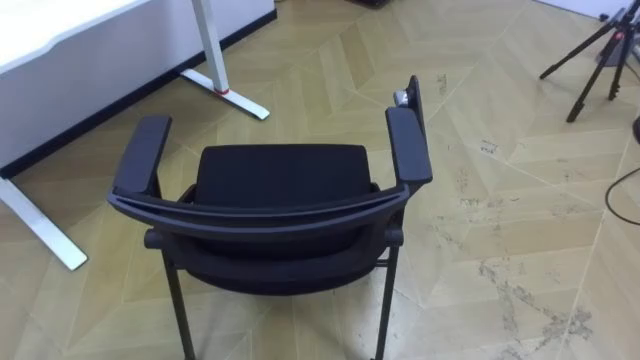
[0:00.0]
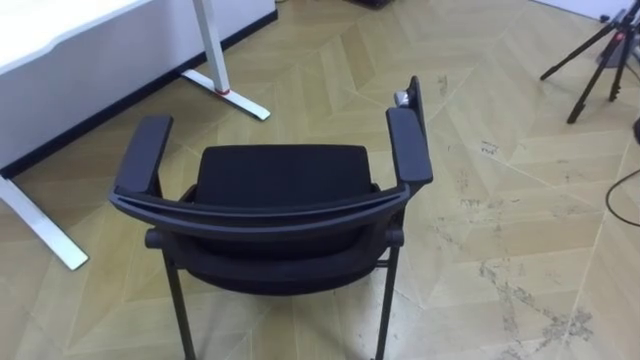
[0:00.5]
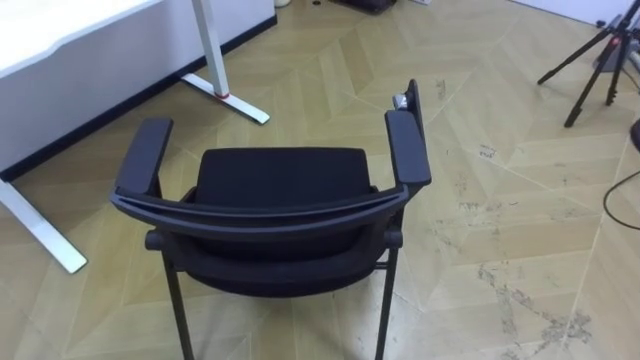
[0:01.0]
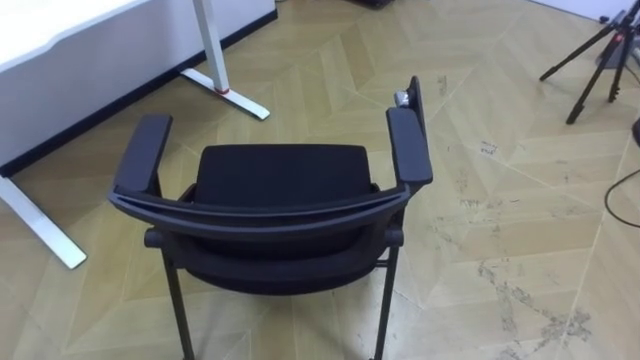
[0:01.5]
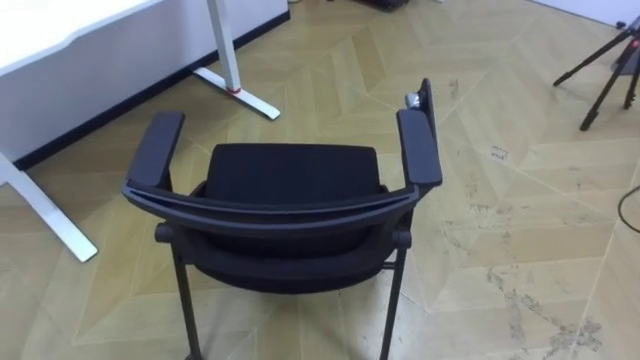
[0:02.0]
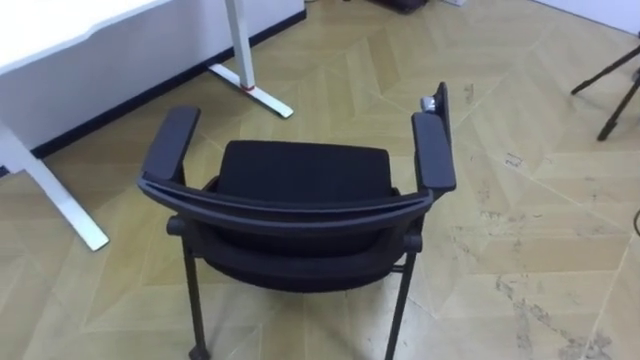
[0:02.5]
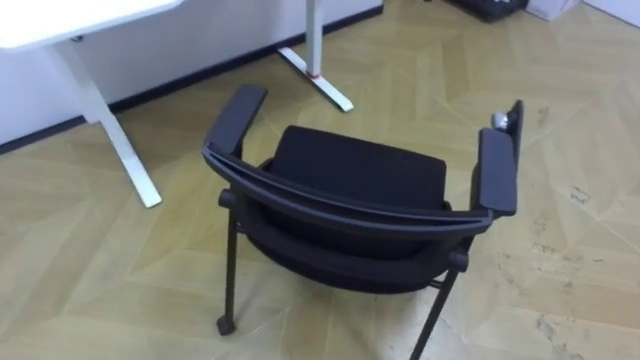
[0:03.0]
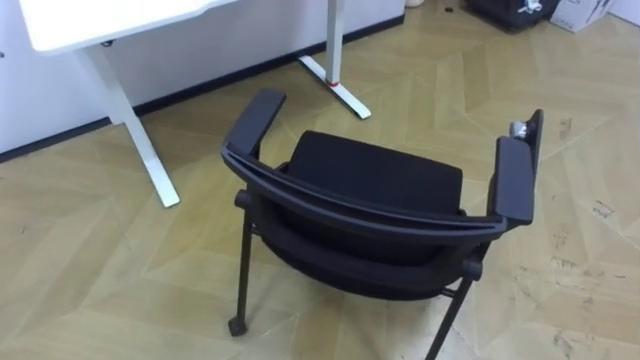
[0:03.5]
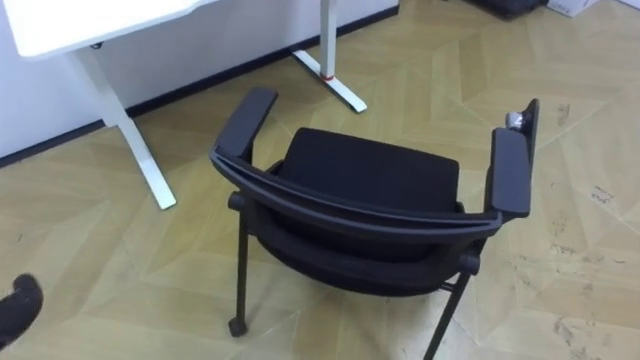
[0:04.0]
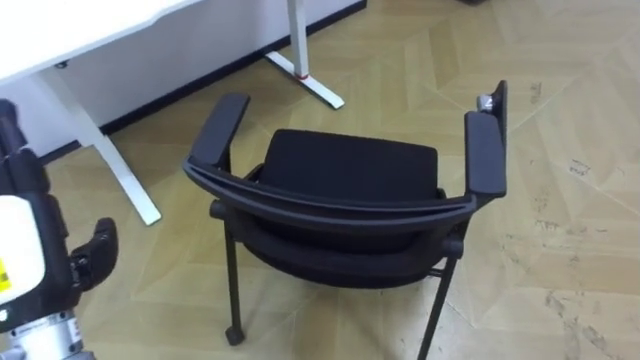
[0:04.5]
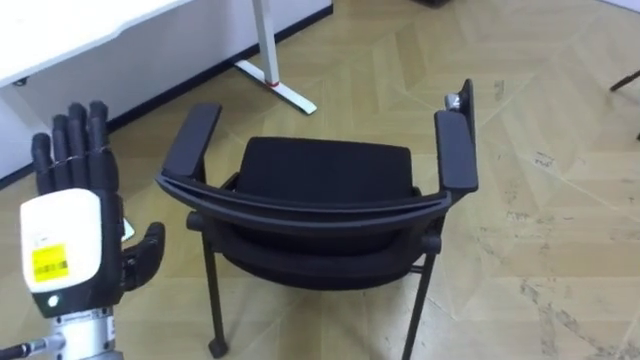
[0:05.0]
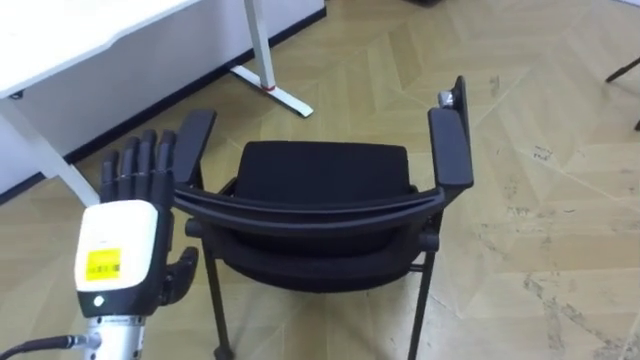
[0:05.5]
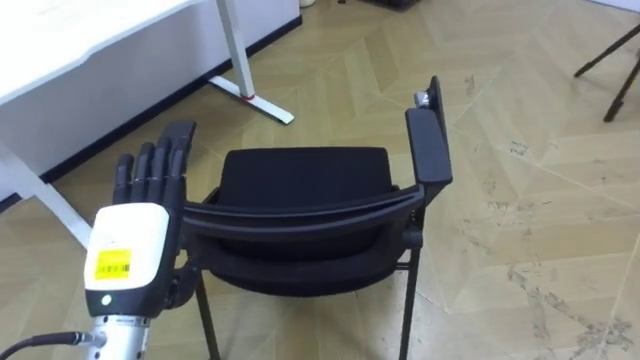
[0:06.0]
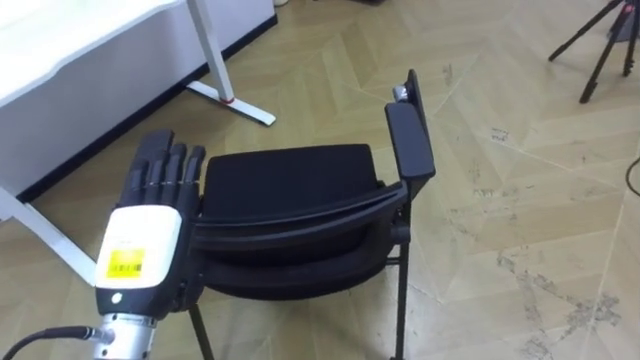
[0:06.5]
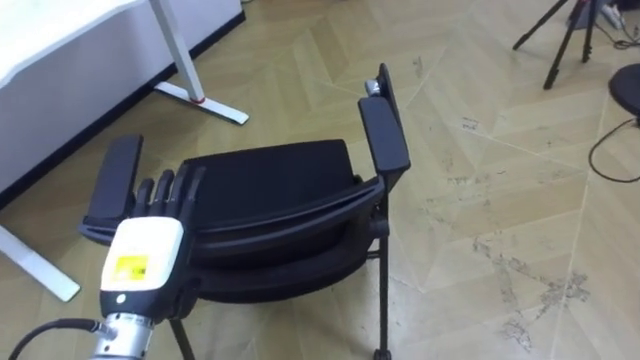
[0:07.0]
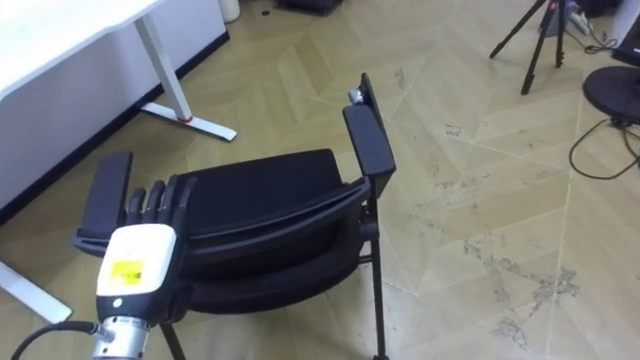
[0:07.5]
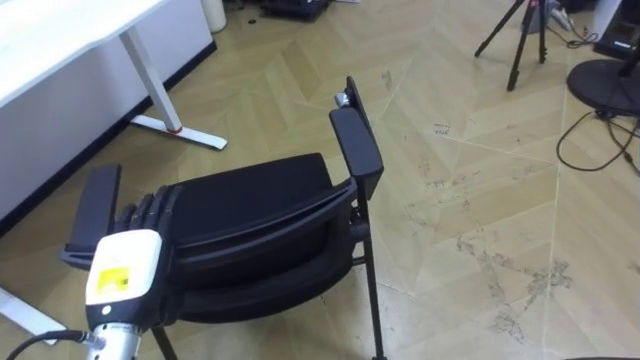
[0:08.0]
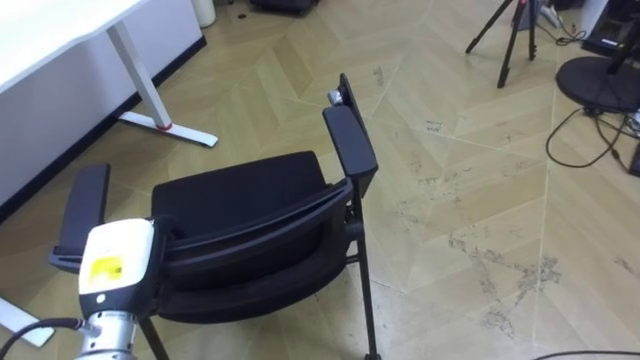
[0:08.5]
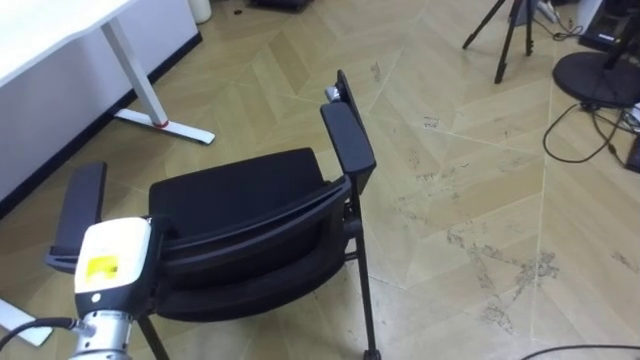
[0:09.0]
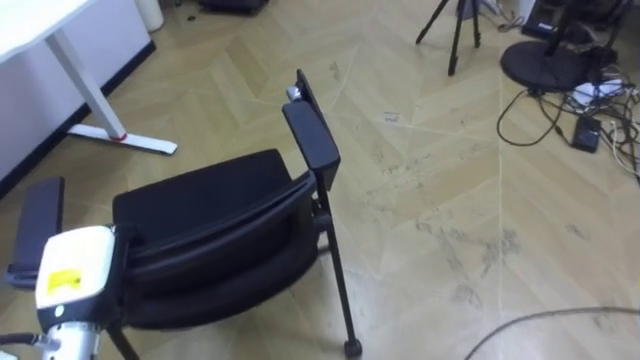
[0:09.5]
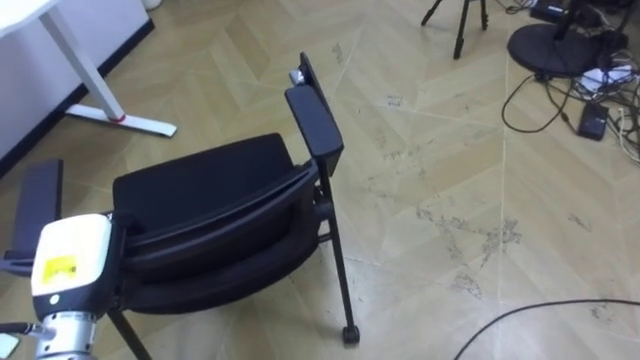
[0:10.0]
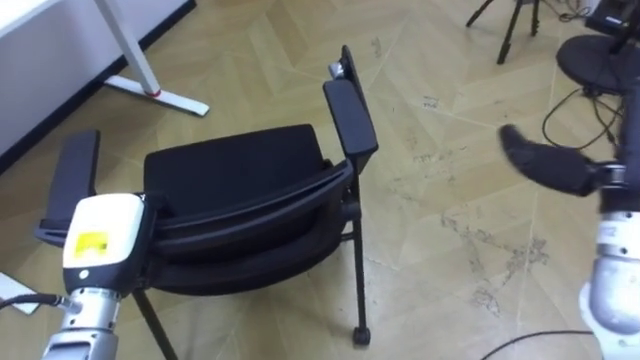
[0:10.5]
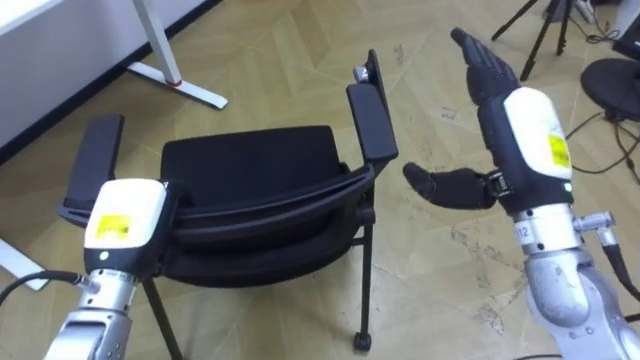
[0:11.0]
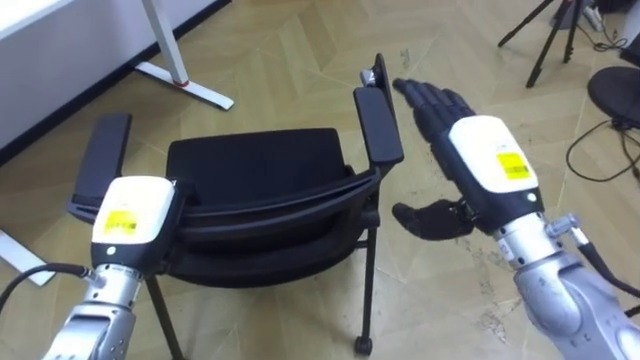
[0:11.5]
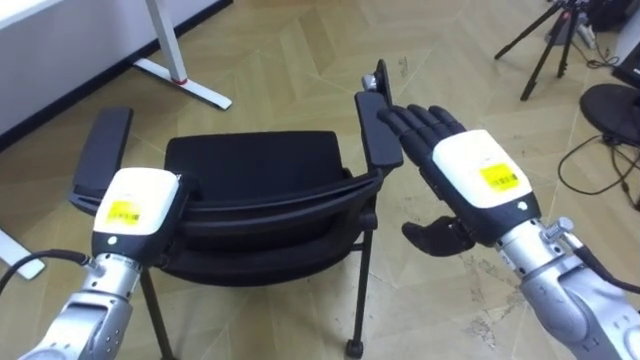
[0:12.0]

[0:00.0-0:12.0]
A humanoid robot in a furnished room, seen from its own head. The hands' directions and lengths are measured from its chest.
Task of the whole recording: Push the chair under the table.
0:06.0 to 0:08.0: The left hand is displaced downward by about 5 cm.
0:08.0 to 0:10.0: The left hand moves to the left, about 5 cm, and closes its fingers.
0:10.0 to 0:12.0: The left hand moves to the right and forward, some 10 cm.

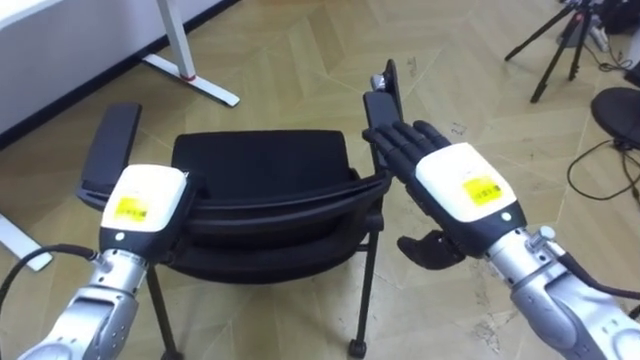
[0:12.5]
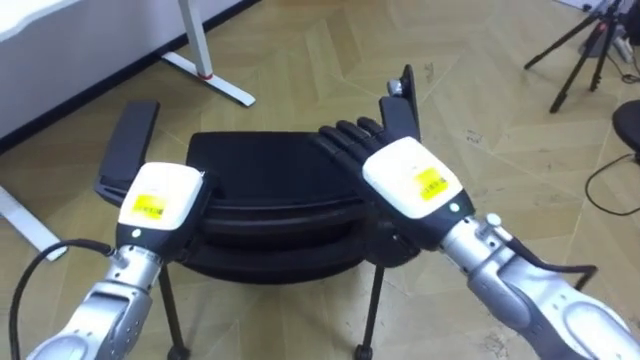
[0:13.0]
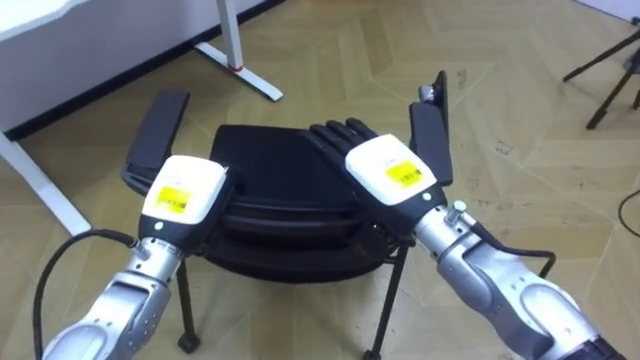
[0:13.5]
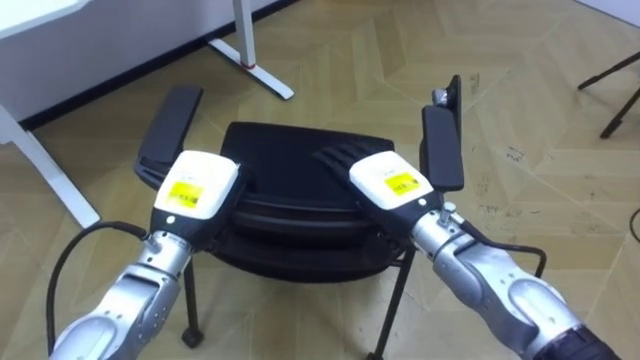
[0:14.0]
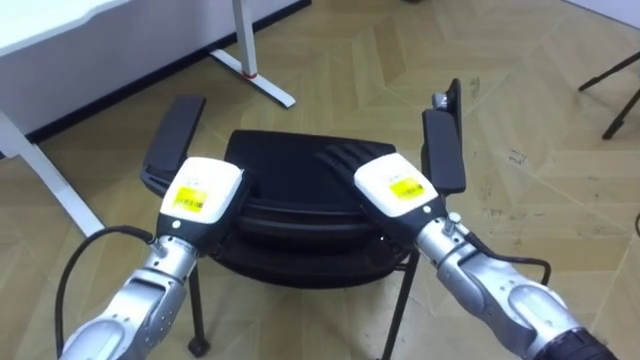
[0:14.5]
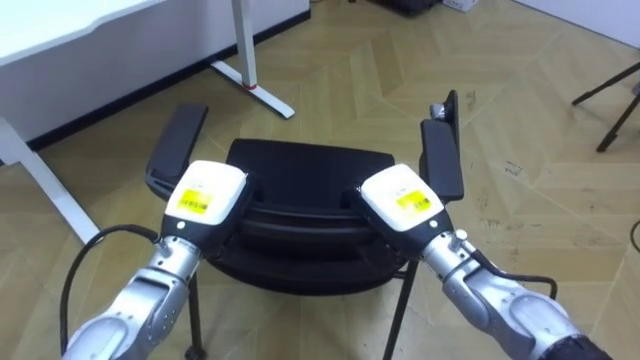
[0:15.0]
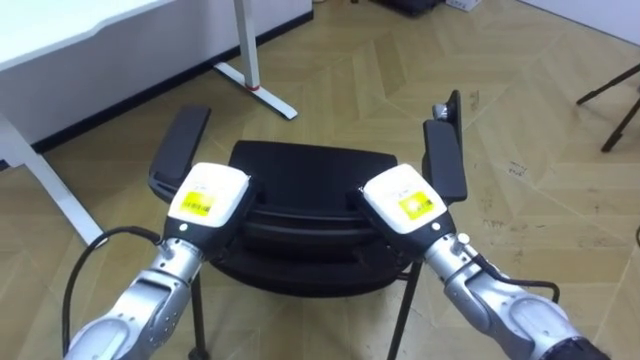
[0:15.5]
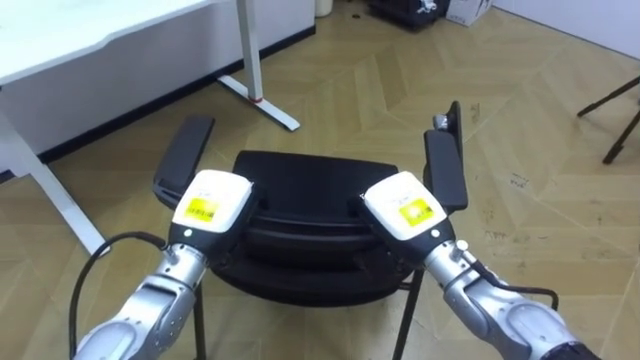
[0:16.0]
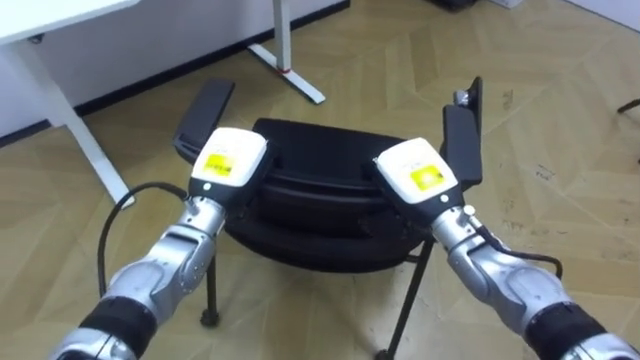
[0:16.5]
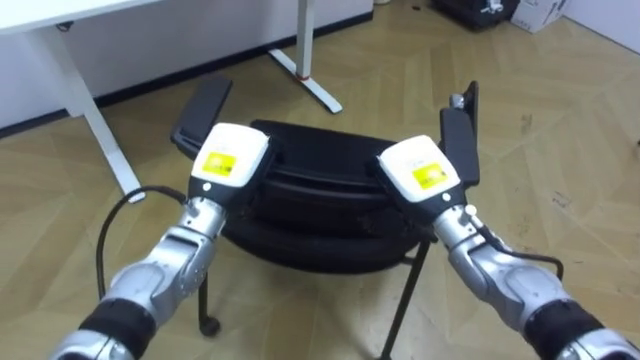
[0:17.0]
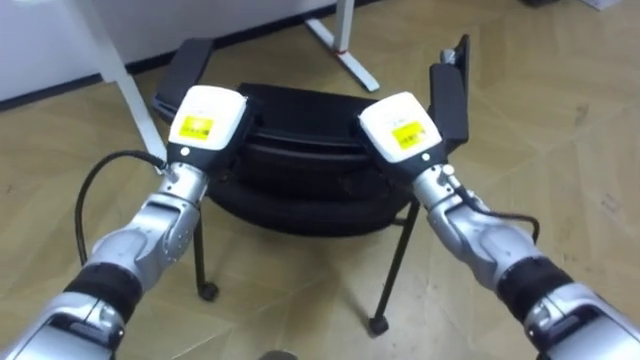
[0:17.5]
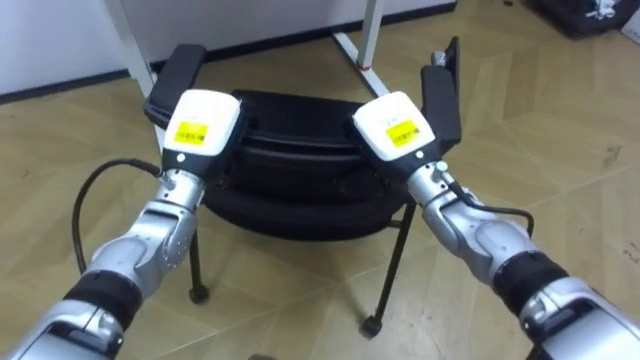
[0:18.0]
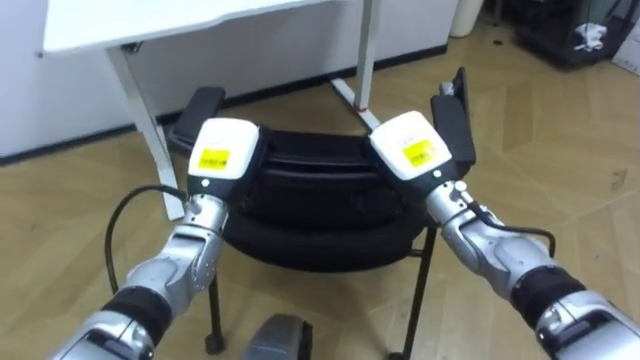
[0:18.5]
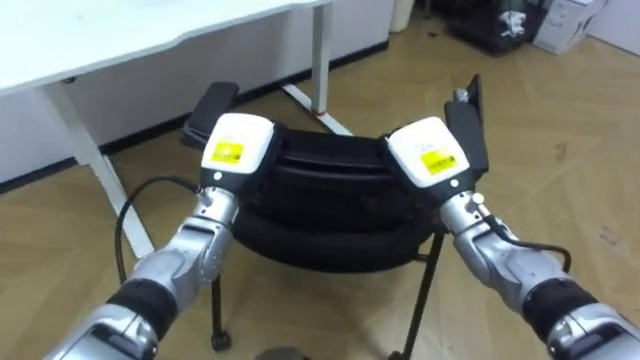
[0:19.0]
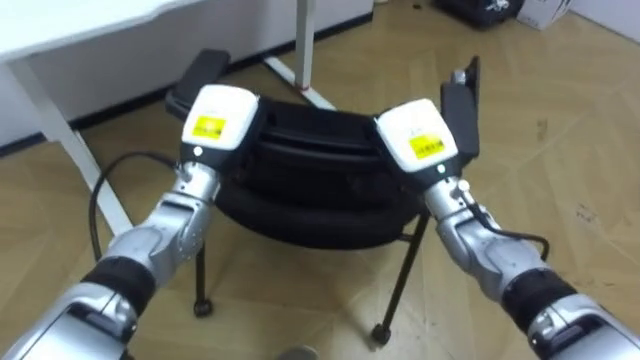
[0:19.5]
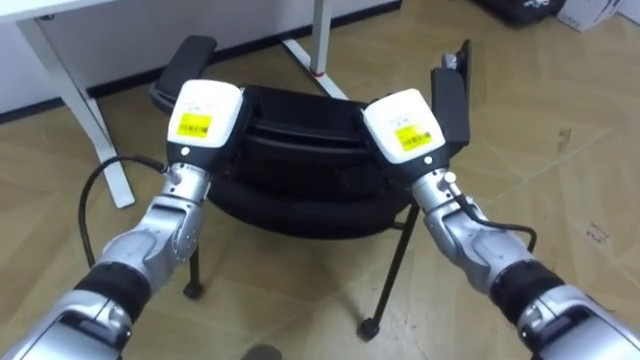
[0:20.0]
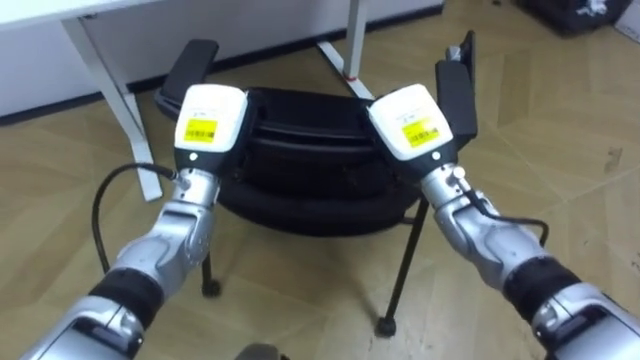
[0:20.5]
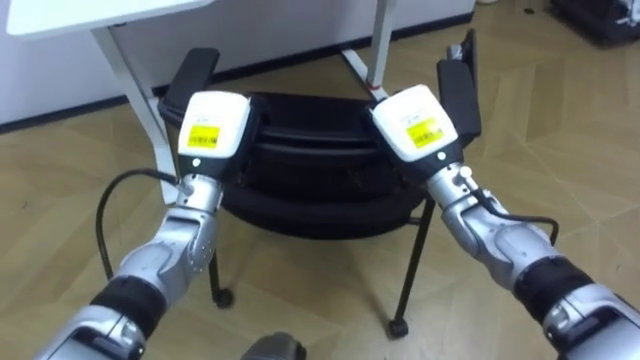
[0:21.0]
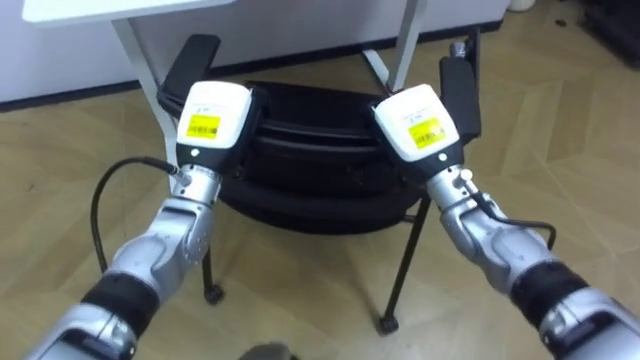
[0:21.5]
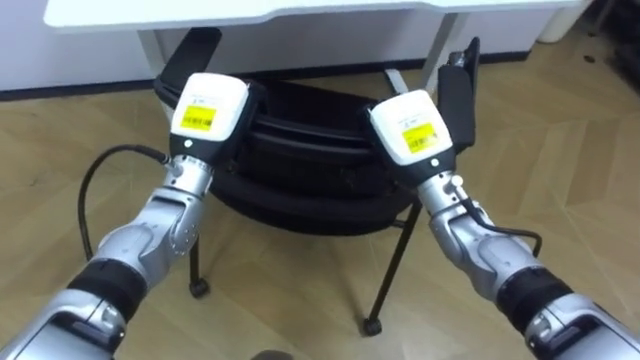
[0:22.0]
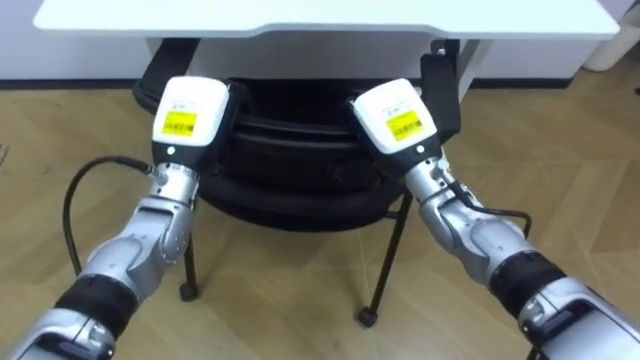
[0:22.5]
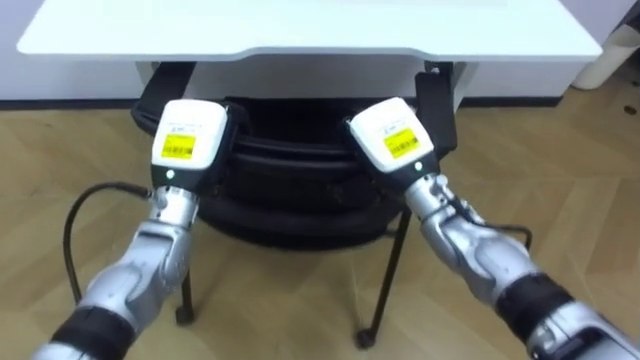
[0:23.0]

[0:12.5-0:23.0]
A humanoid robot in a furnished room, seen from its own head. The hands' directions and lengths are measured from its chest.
Task of the whole recording: Push the chair under the table.
0:12.5 to 0:14.5: The right hand shifts roughly 10 cm to the left and downward; the left hand shifts some 5 cm to the right.
0:14.5 to 0:16.5: The right hand closes its fingers. The left hand shifts by roughly 5 cm.
